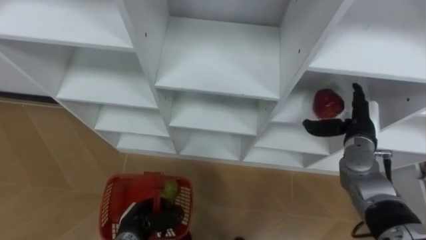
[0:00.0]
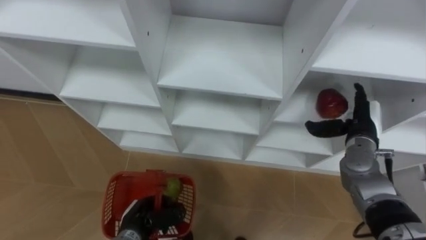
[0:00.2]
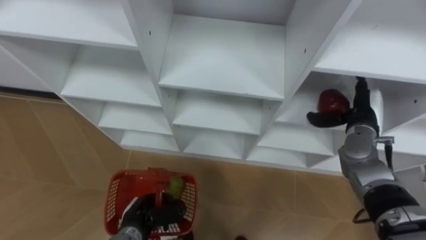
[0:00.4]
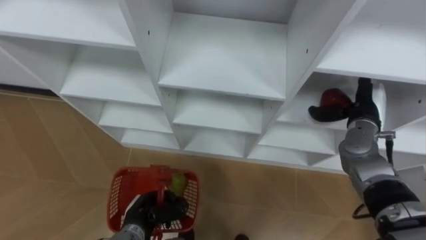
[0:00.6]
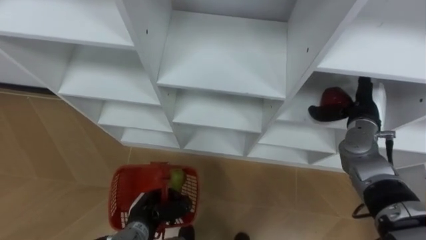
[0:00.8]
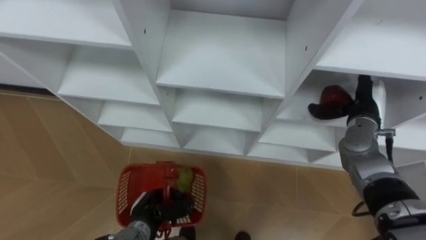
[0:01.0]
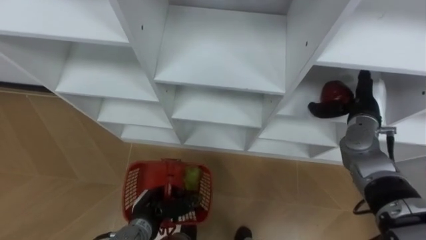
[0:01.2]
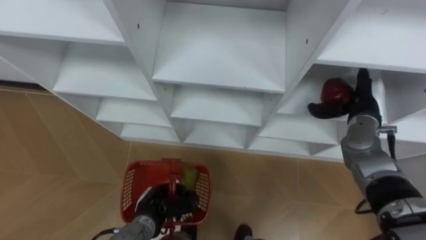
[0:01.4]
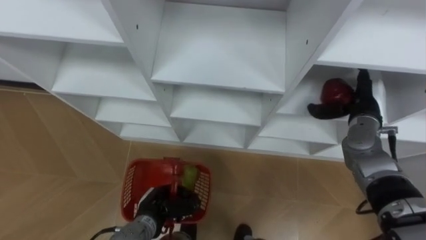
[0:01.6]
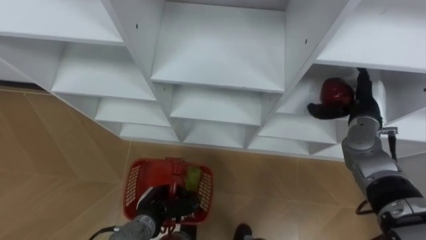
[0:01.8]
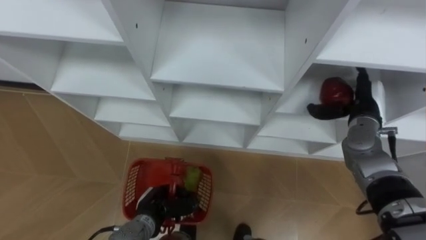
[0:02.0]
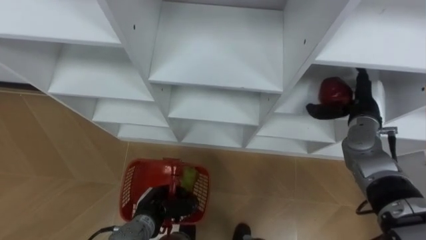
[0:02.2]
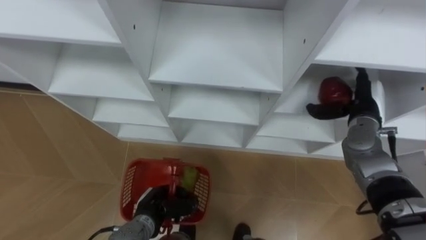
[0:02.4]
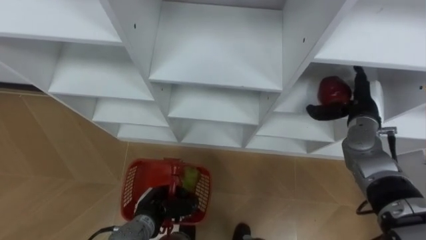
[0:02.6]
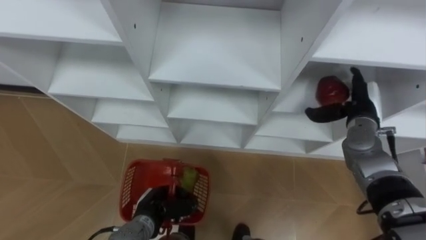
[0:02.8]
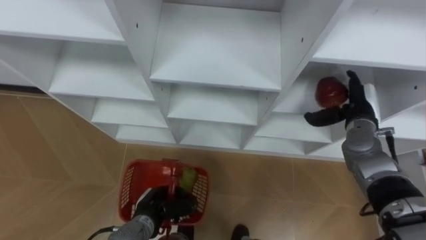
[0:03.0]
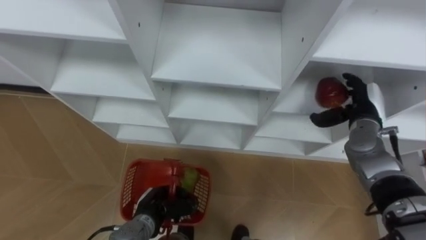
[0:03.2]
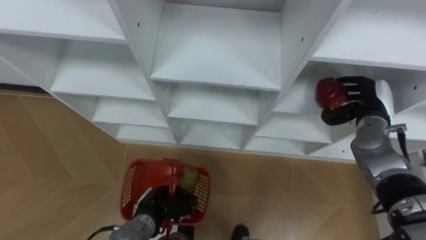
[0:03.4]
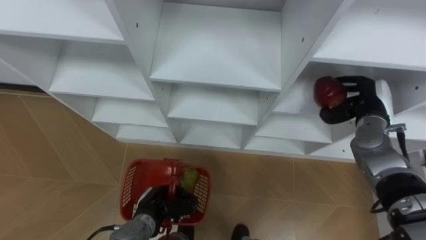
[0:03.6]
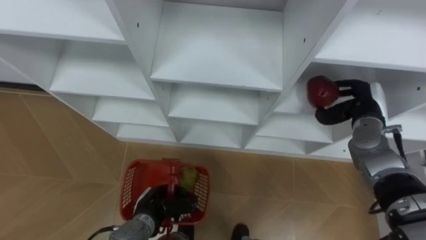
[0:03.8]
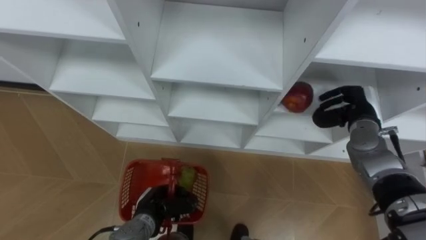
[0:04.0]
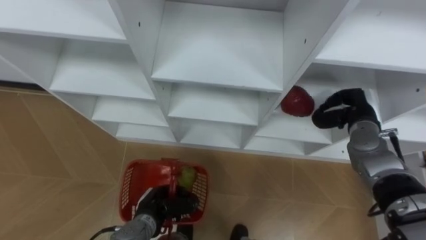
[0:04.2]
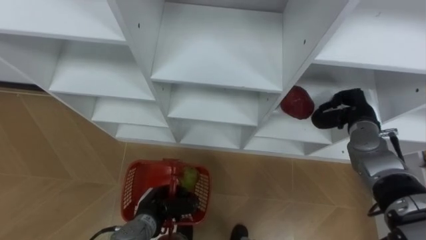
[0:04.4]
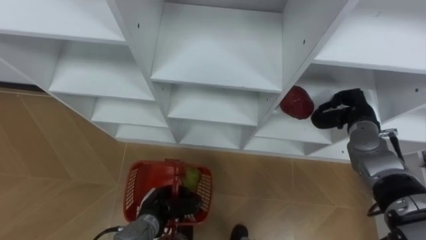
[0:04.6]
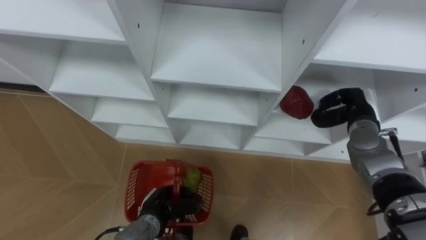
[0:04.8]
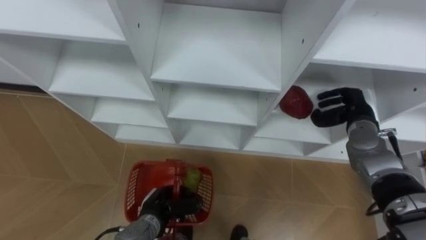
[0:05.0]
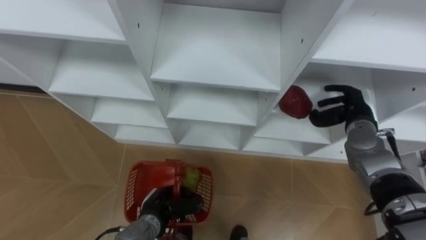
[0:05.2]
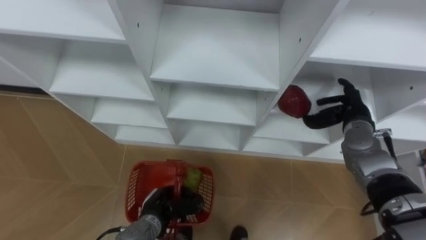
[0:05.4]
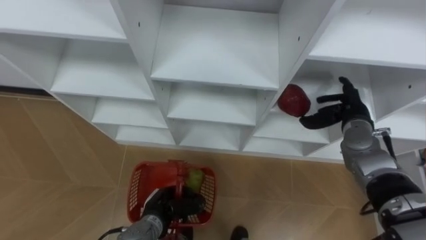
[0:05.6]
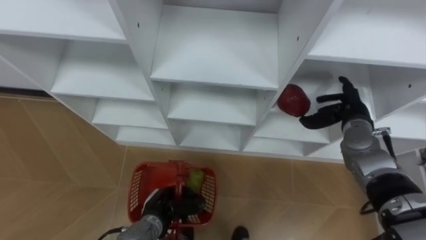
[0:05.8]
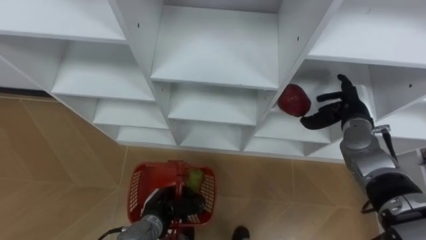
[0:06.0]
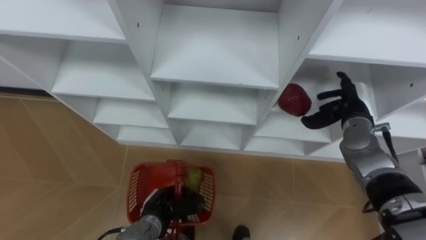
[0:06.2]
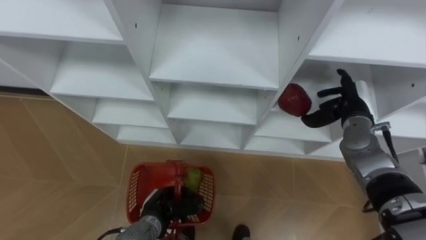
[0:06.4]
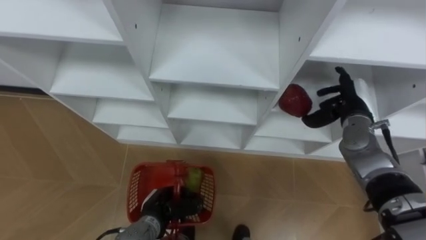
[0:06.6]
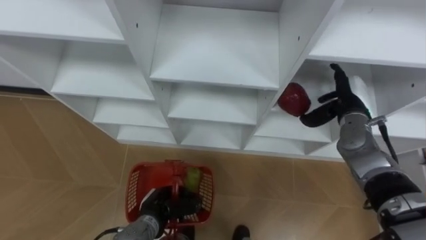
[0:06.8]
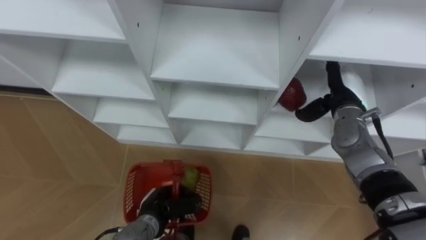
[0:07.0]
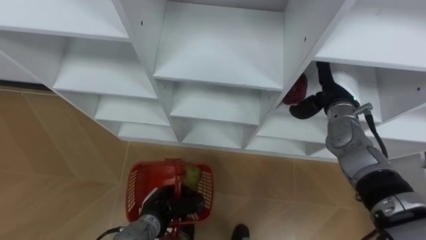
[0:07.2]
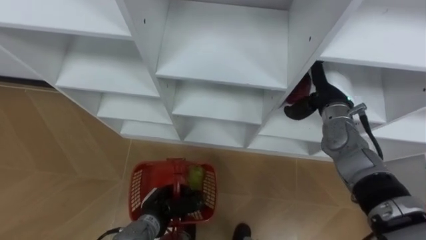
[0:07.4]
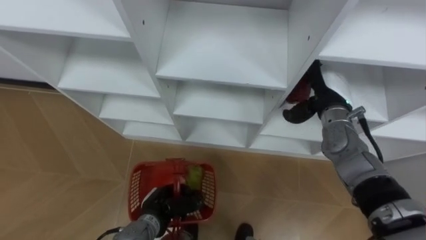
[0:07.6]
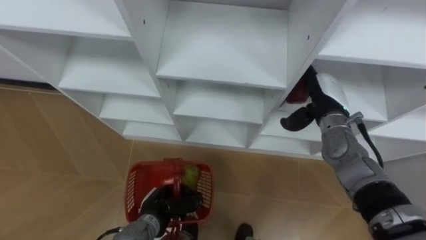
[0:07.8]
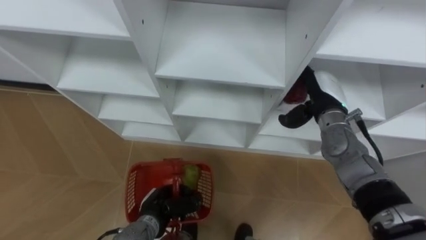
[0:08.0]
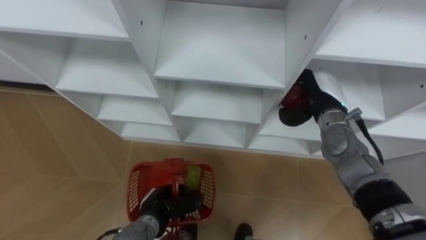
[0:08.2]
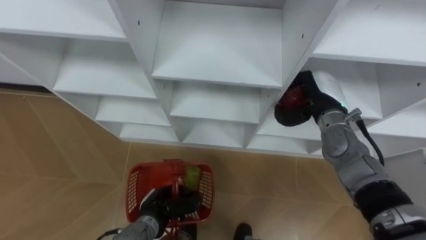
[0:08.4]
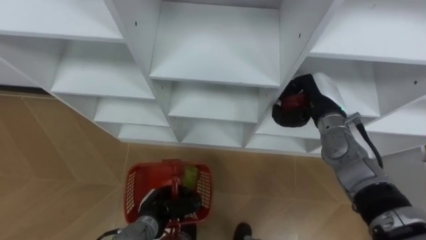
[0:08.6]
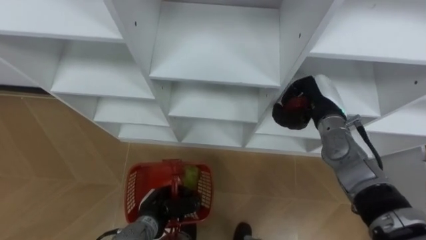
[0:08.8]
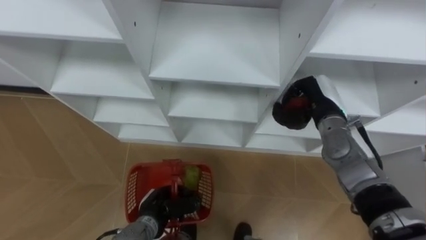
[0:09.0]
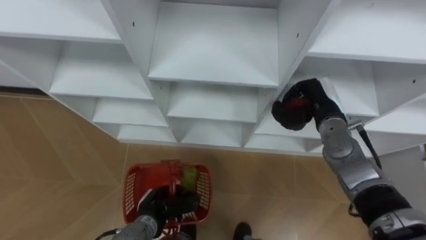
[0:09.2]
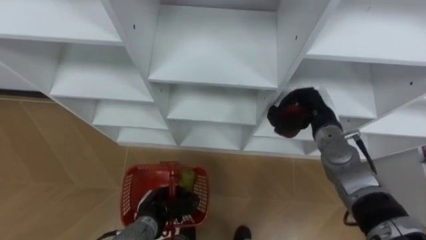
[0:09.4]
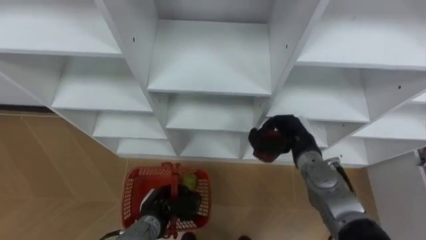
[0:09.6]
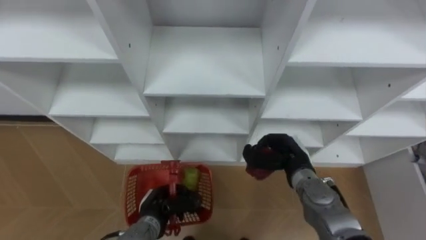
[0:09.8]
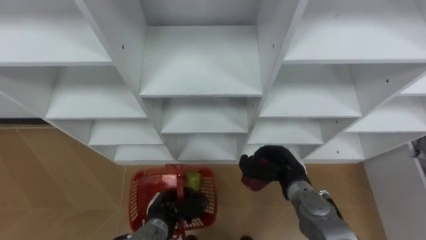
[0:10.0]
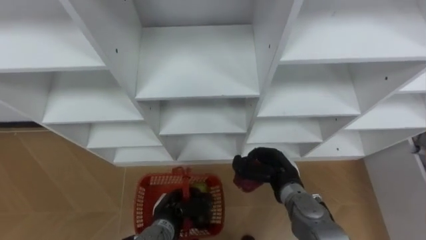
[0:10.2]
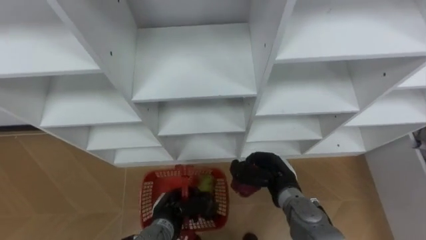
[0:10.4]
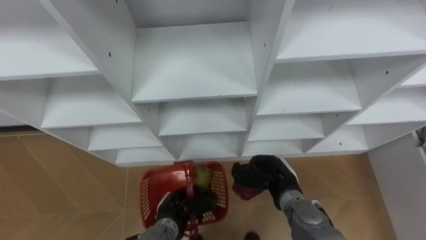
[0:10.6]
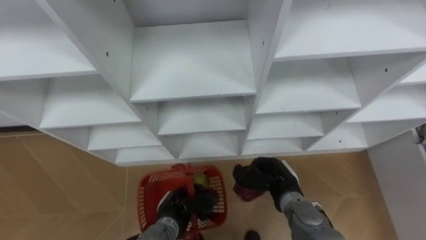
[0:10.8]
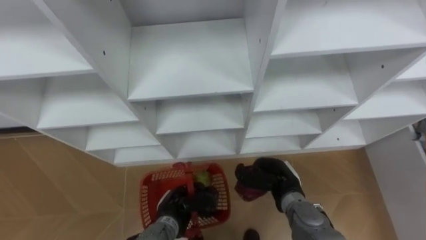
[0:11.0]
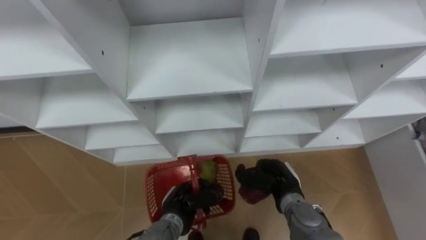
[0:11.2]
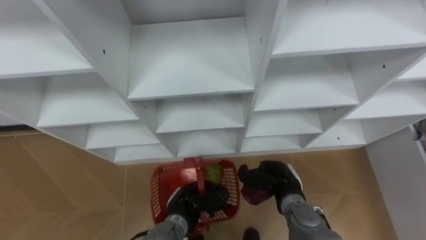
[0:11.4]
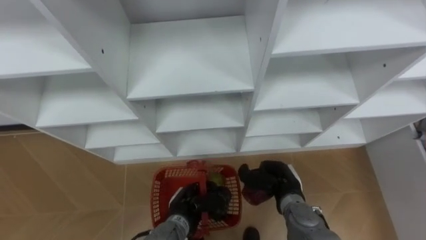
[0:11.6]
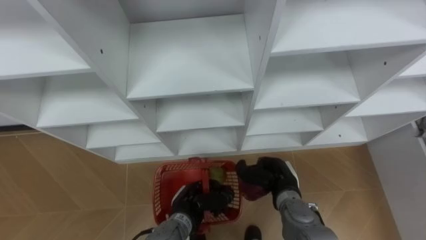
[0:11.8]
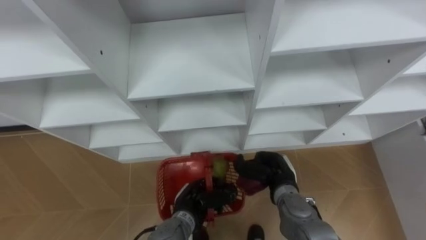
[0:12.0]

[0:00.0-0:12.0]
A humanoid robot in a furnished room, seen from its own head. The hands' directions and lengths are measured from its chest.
Task of the whole recording: Hold the basket and collect the fruits from 3 different cells of the closet into it.
0:01.6 to 0:03.0: The hands stay close to where they were, moving slightly.
0:03.0 to 0:04.4: The right hand closes up.
0:04.4 to 0:06.0: The right hand opens its fingers.
0:06.0 to 0:07.6: The right hand is displaced to the left by approximately 5 cm.
0:07.6 to 0:09.0: The right hand closes.
0:09.0 to 0:10.4: The right hand is displaced downward, backward and to the left by some 20 cm.
0:10.4 to 0:12.0: The left hand shifts roughly 5 cm to the right.

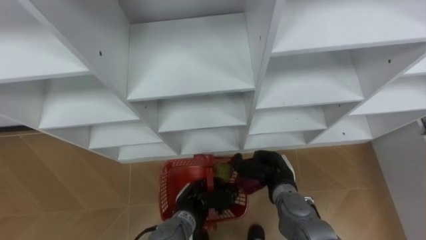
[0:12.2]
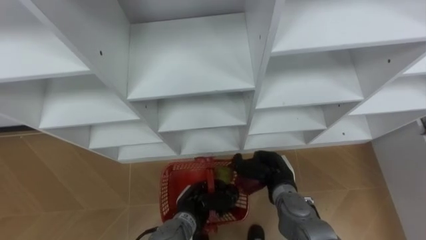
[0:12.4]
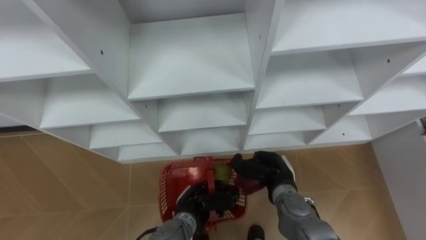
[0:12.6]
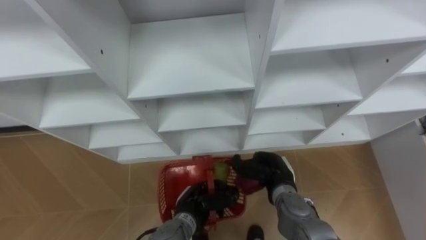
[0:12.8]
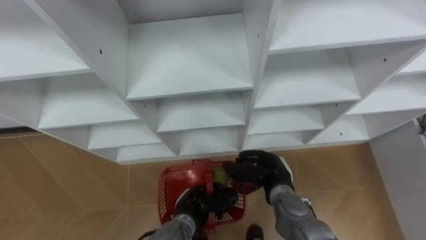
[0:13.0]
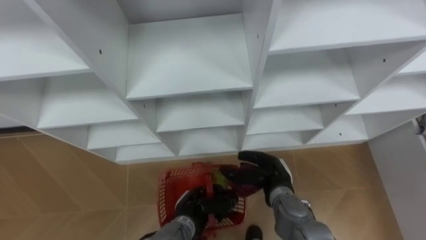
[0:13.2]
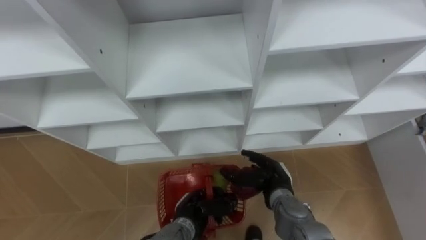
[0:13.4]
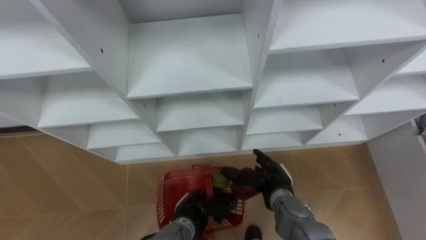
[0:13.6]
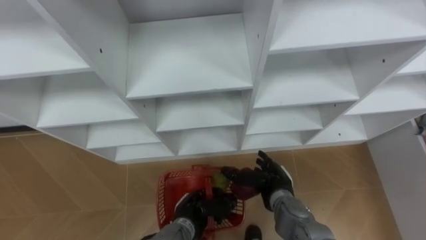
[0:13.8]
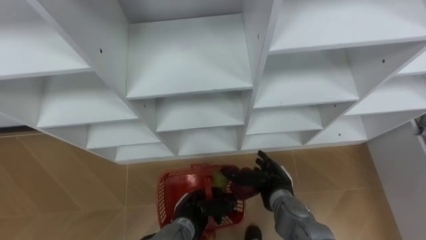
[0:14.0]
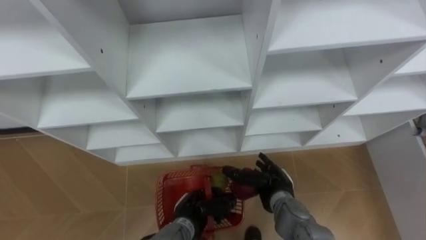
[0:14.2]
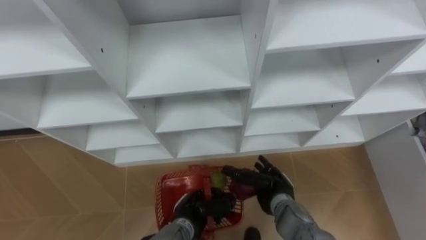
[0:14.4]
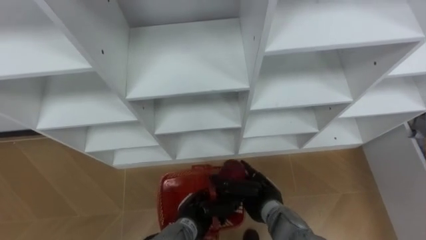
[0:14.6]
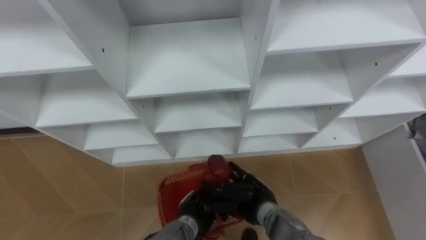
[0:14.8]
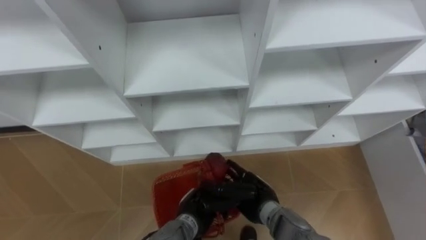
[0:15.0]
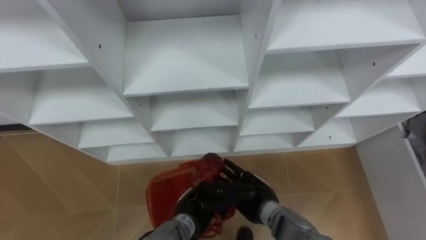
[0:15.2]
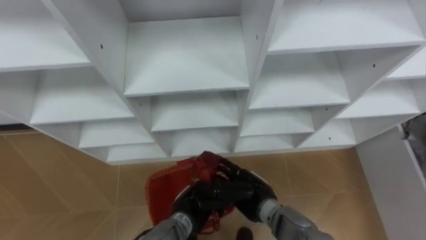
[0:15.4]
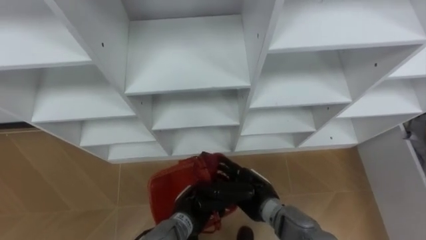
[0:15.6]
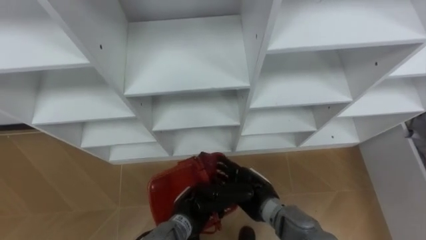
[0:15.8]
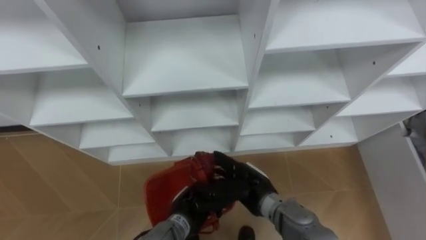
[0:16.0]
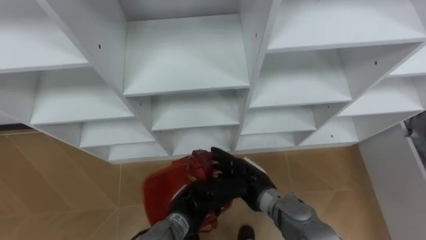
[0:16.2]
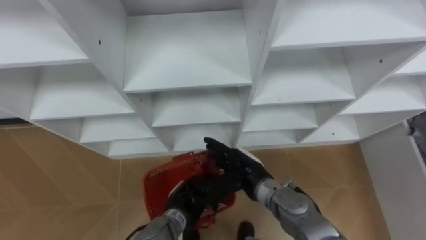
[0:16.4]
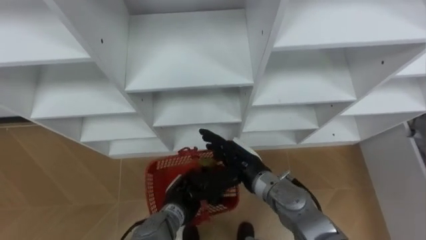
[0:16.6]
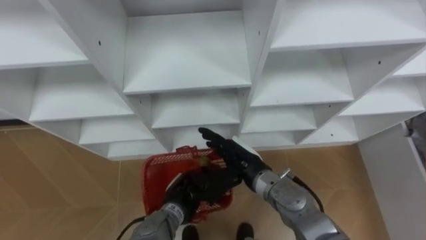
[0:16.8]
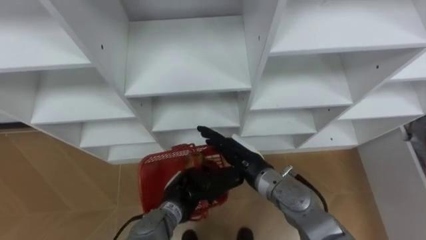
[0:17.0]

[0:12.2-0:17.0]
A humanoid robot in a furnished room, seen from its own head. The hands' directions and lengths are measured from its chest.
Task of the whole recording: Hold the basket and collect the fruits from 3 different cells of the closet into it.
0:12.2 to 0:13.8: The right hand opens its fingers.
0:13.8 to 0:15.4: The right hand shifts some 5 cm to the left.
0:15.4 to 0:17.0: The right hand goes about 10 cm upward.
